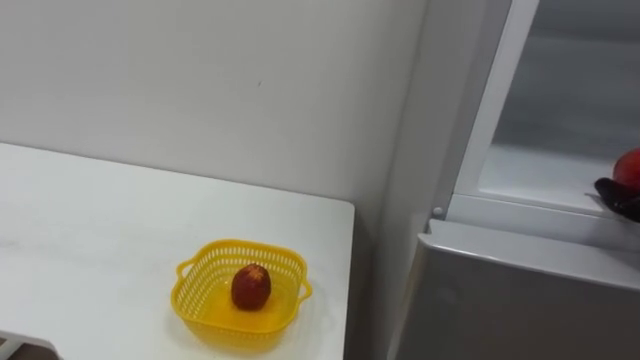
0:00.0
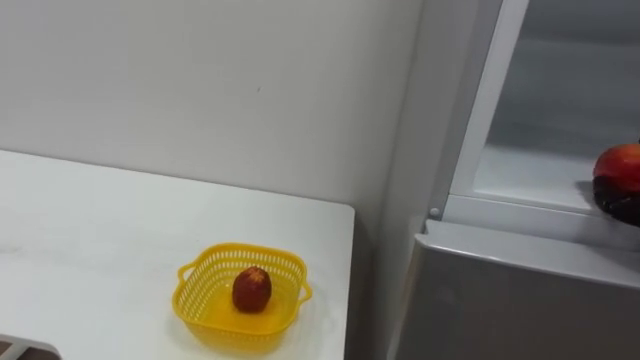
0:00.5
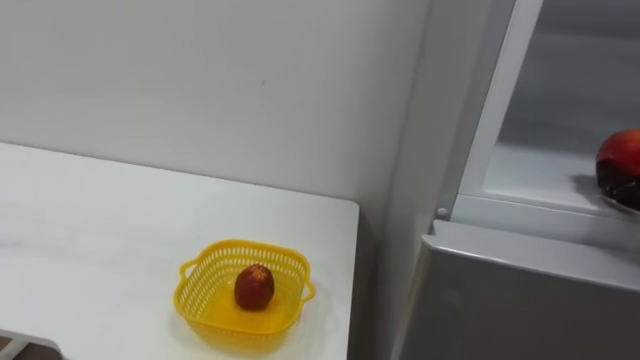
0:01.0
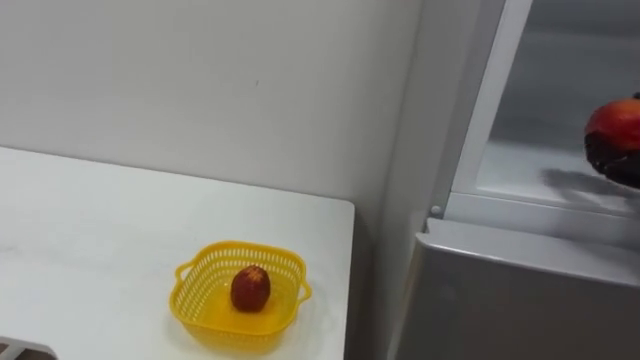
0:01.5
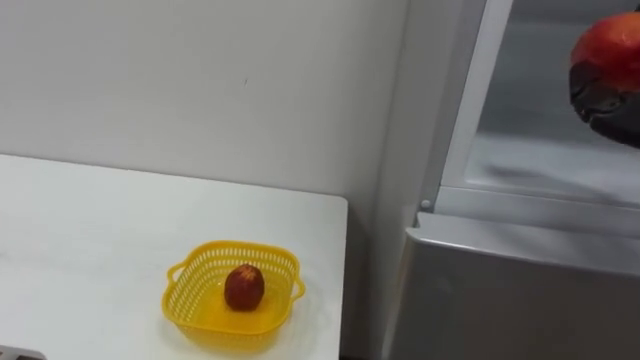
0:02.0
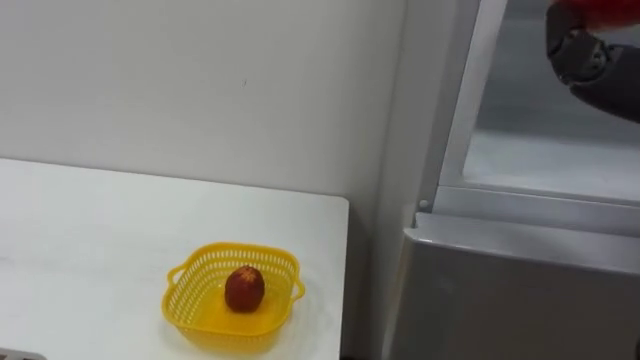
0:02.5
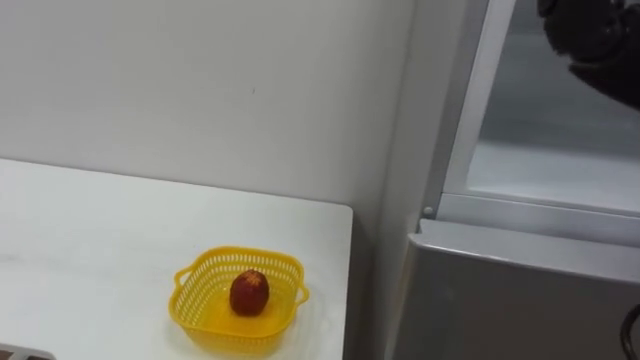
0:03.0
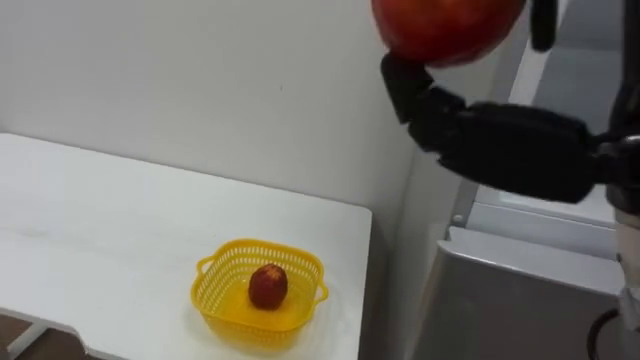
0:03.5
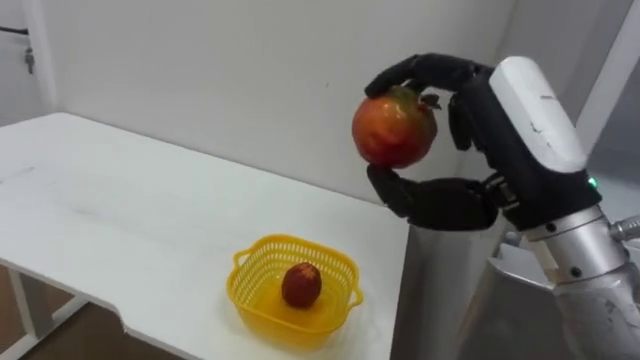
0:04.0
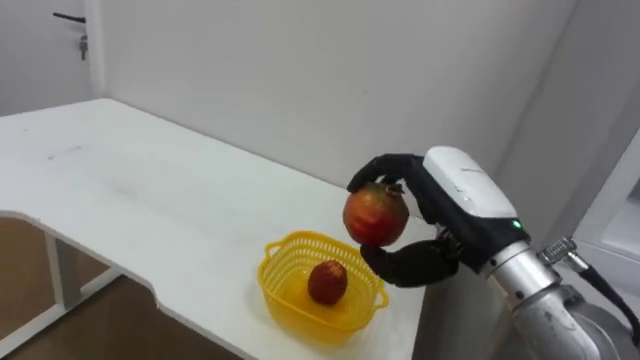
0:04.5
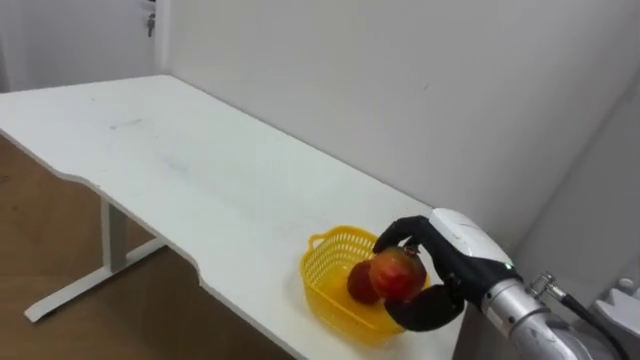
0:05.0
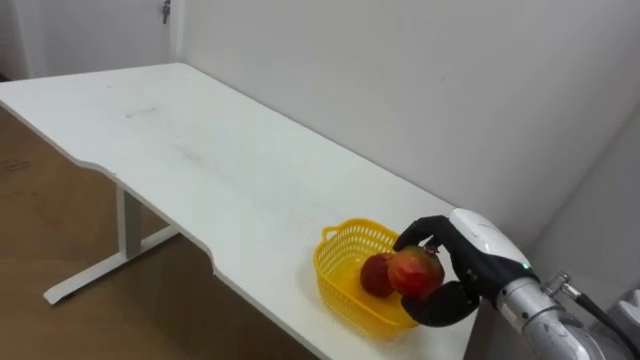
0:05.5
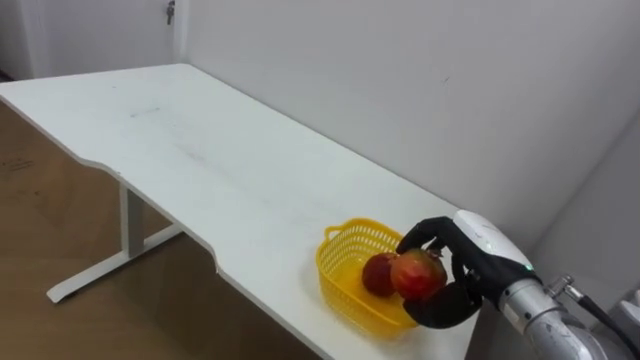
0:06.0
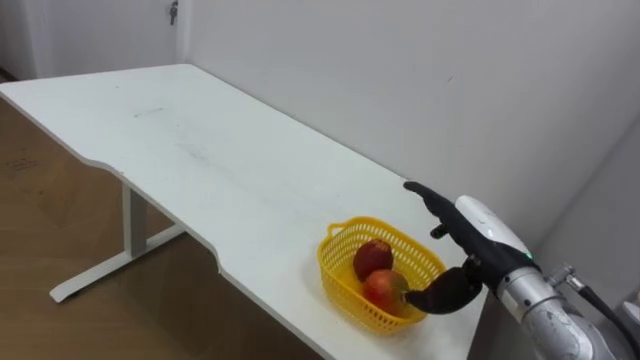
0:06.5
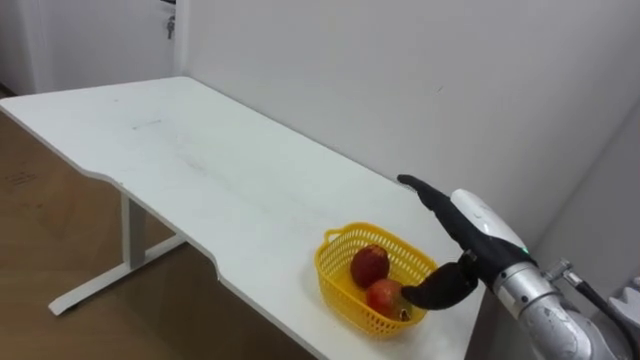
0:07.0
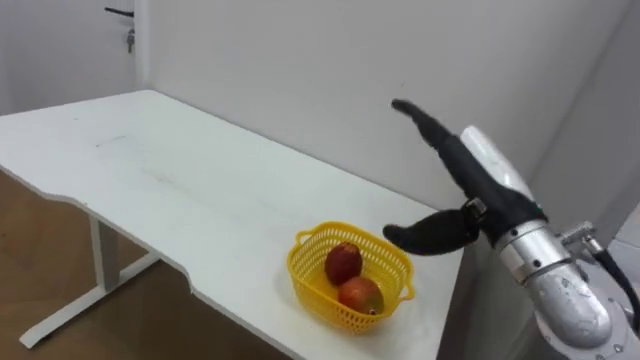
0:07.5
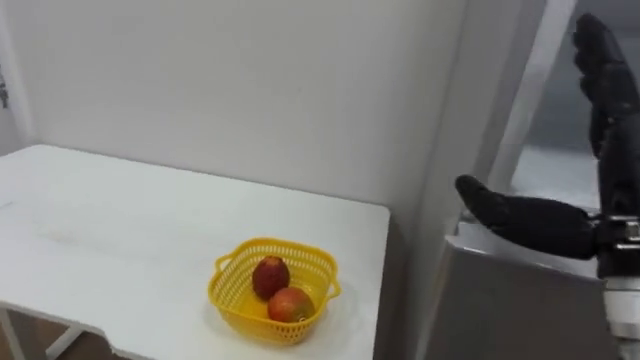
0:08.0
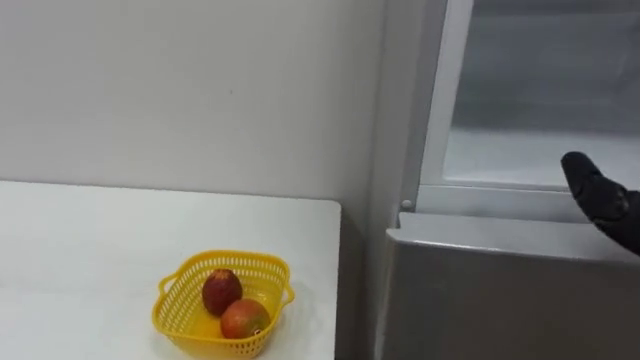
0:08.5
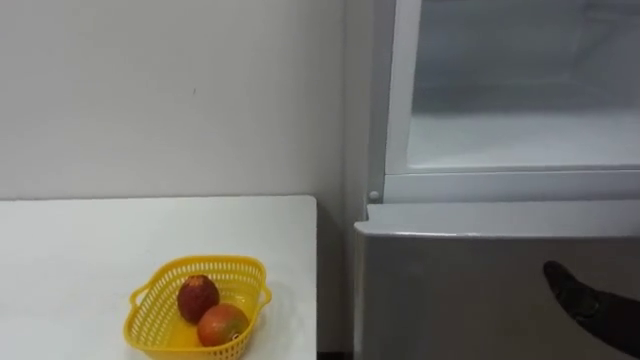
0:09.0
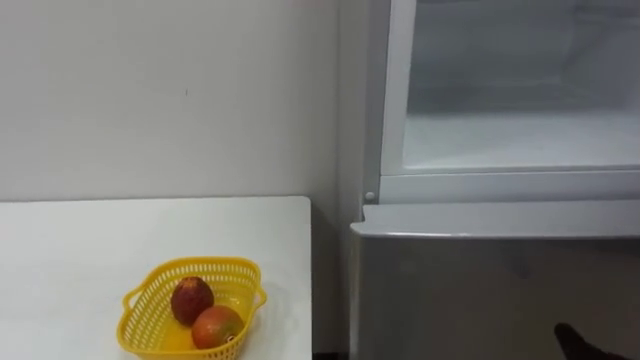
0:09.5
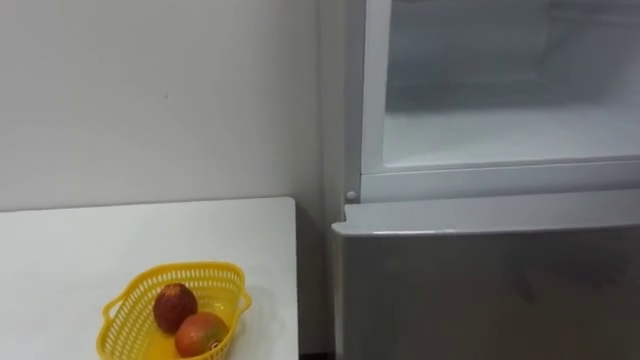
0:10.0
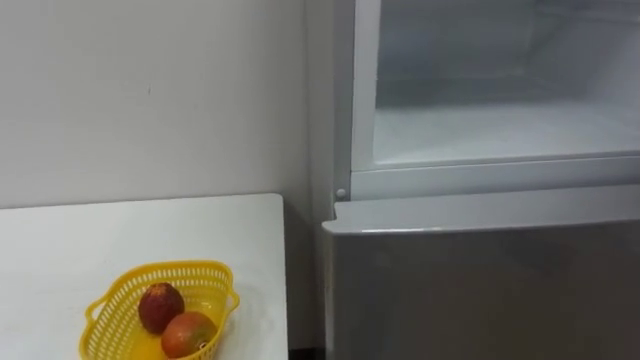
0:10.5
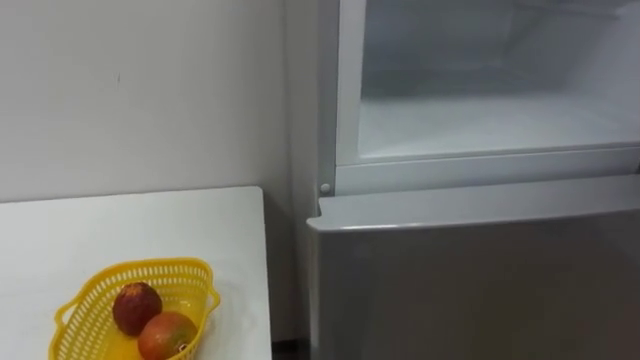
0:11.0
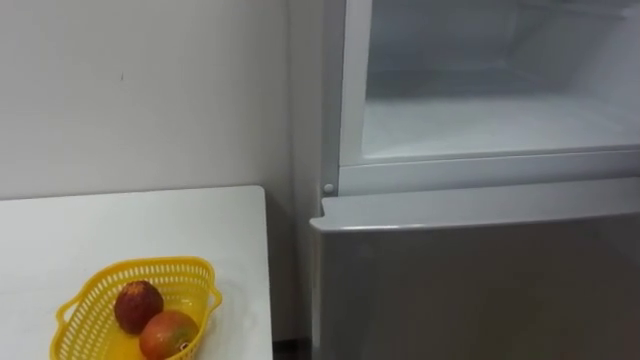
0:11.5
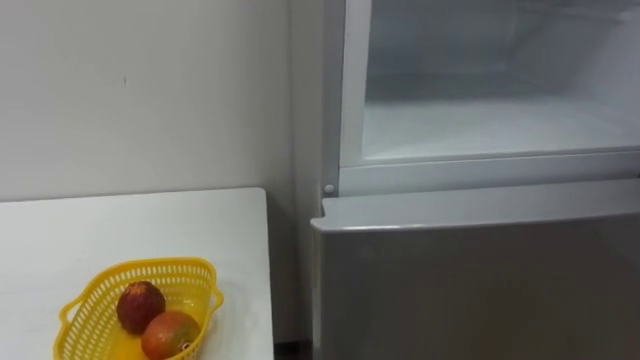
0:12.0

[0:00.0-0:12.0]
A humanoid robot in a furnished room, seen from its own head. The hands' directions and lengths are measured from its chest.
Task of the whole recording: Open the refrigerator door, take out the apple and the pomegranate, place them in the fruit basket on the left, and close the refrigerator door.
0:04.0 to 0:06.0: The right hand travels downward and forward by roughly 20 cm.
0:06.0 to 0:08.0: The right hand goes roughly 20 cm upward and backward, and opens.

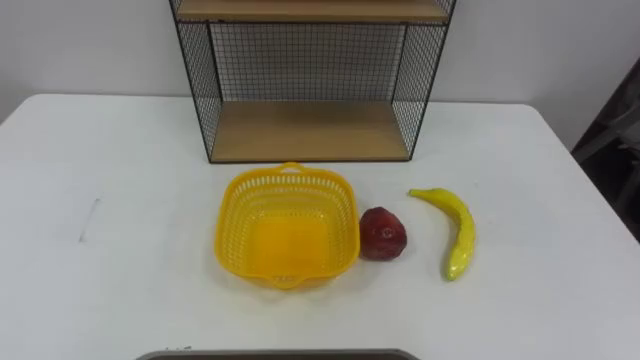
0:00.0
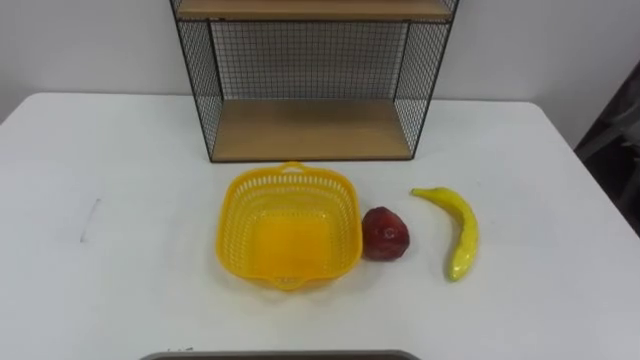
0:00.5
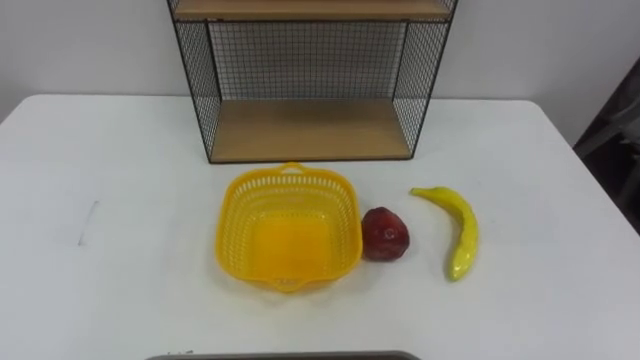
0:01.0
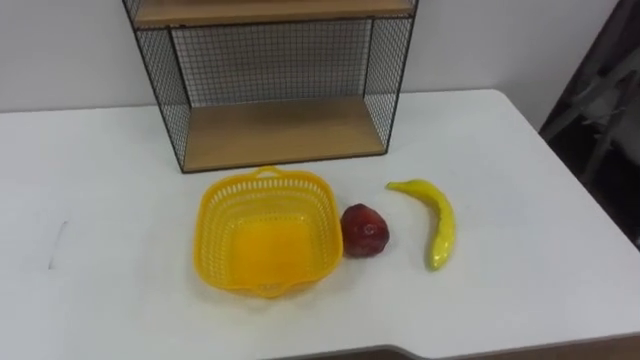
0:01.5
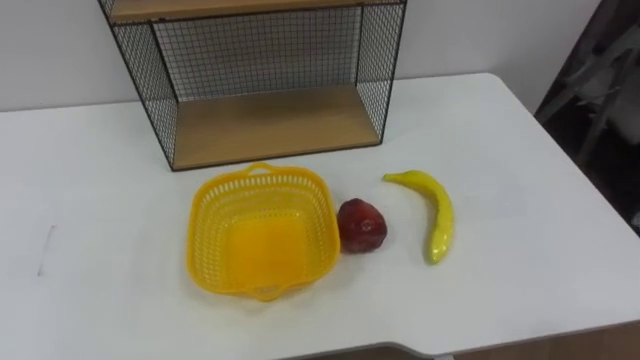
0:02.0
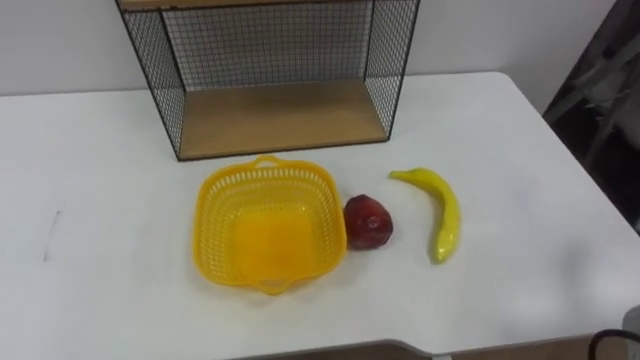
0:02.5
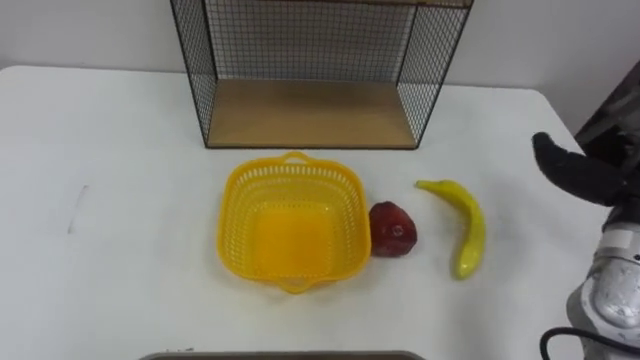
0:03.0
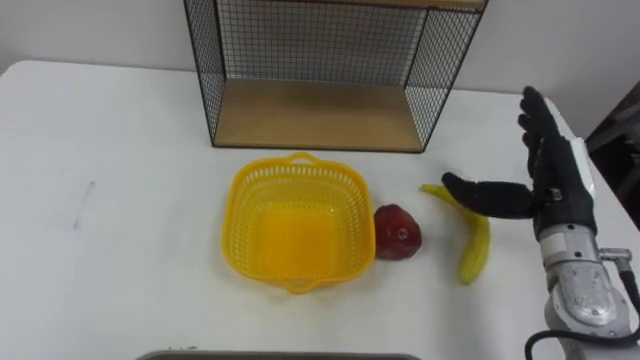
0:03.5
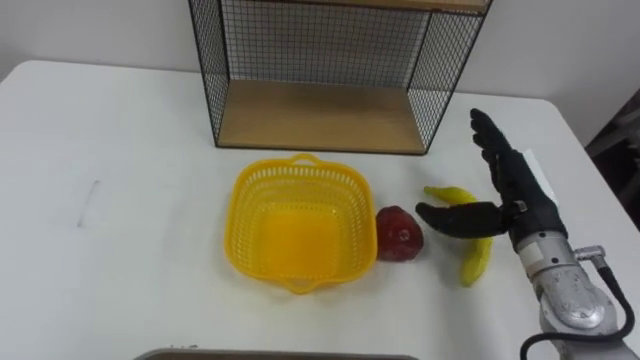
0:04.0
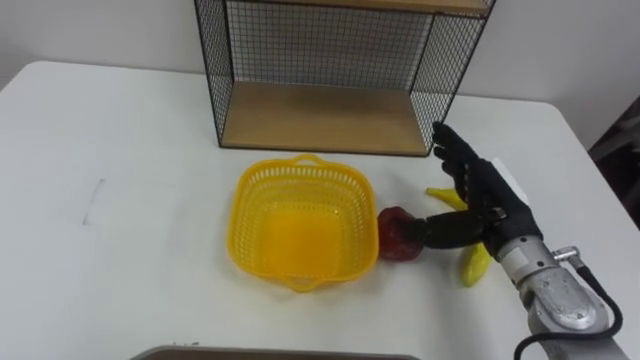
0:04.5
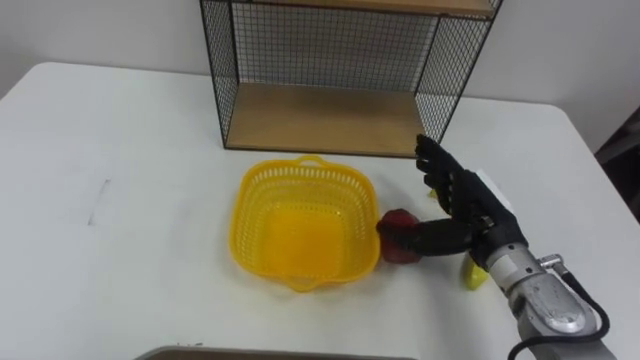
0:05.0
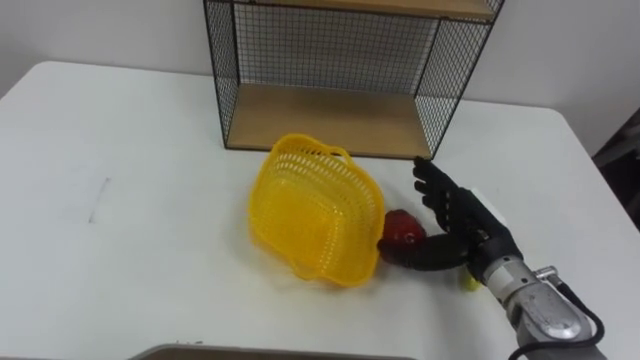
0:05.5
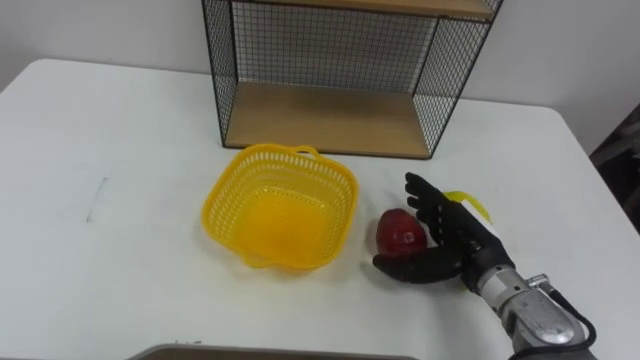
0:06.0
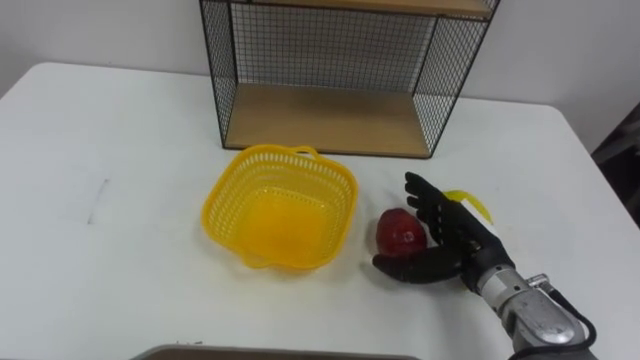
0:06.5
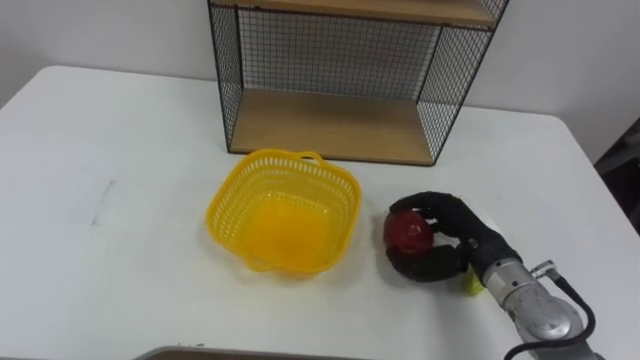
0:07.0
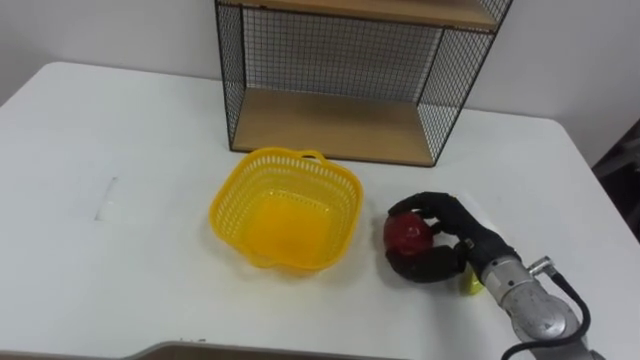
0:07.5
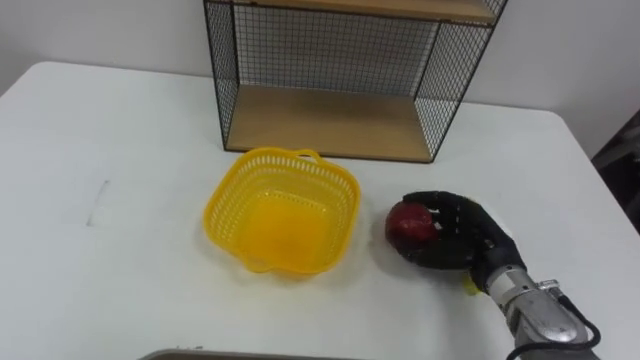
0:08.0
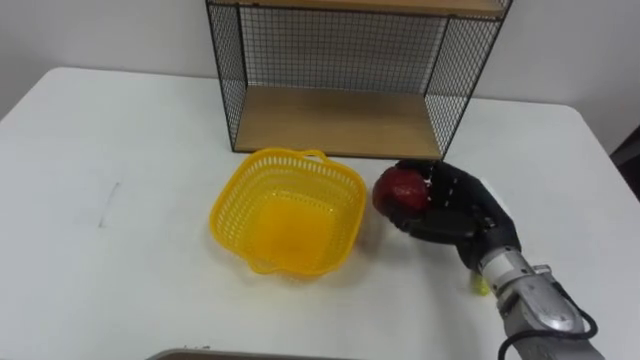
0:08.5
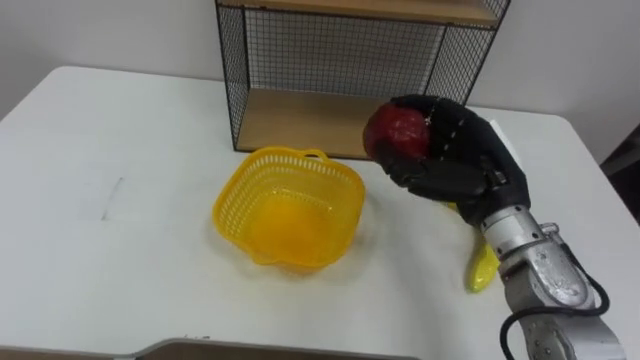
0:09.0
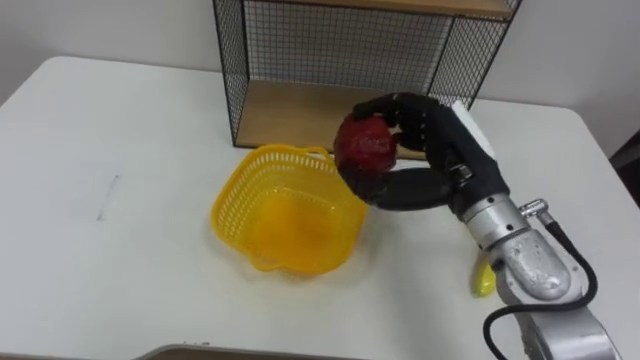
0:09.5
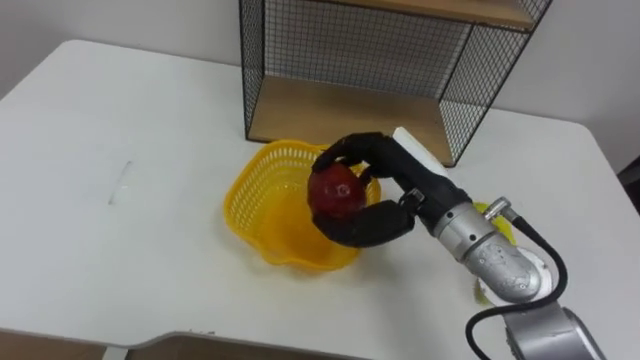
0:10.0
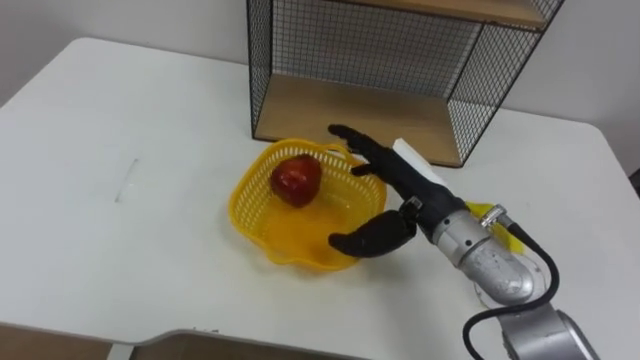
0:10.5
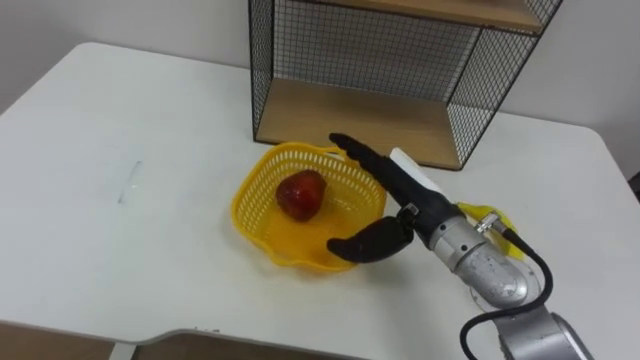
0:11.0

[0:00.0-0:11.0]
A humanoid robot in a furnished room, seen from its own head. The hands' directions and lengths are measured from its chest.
Task of the whole recording: Put the fruit on the table into the basket, then place the basket on the shelf.
0:03.5 to 0:05.5: The right hand moves to the left and downward, roughly 10 cm.
0:05.5 to 0:07.5: The right hand closes.
0:07.5 to 0:09.0: The right hand moves upward, roughly 10 cm.
0:09.0 to 0:11.0: The right hand goes roughly 5 cm to the left, and opens.
